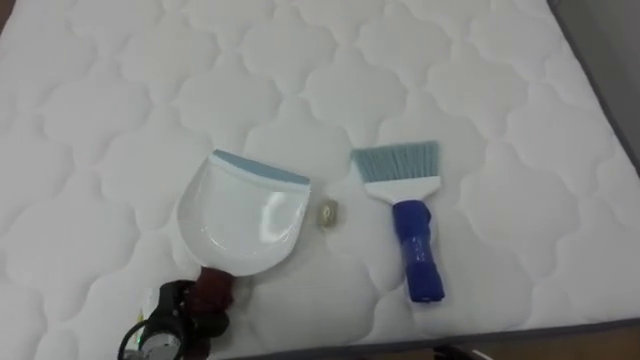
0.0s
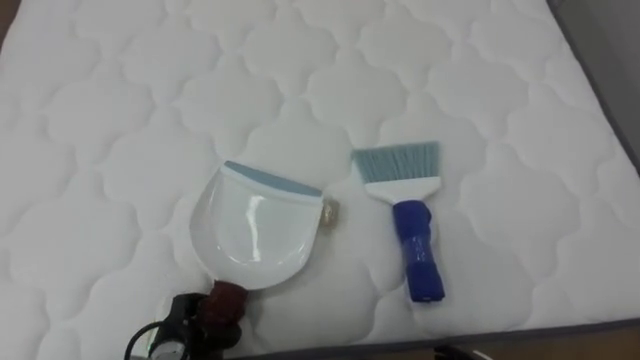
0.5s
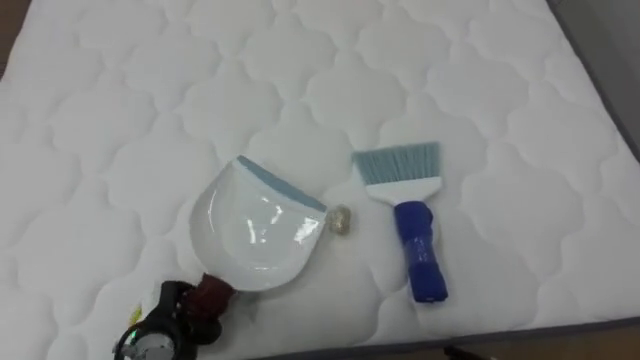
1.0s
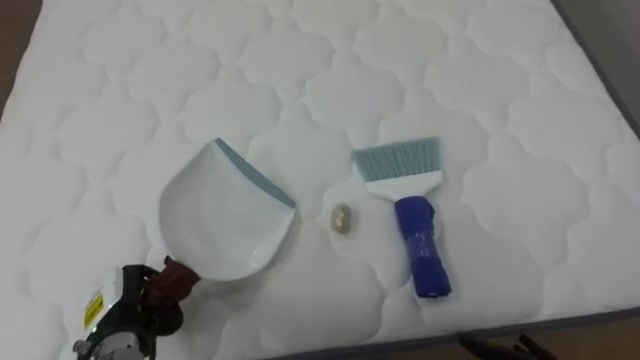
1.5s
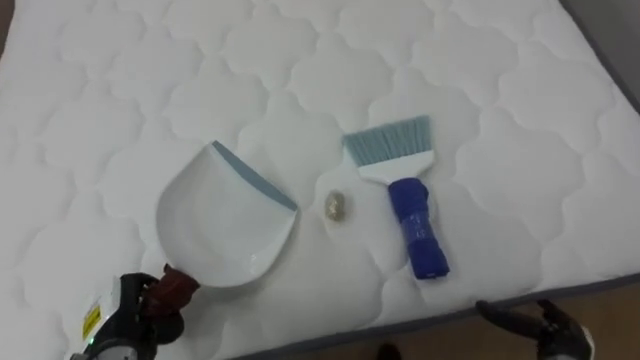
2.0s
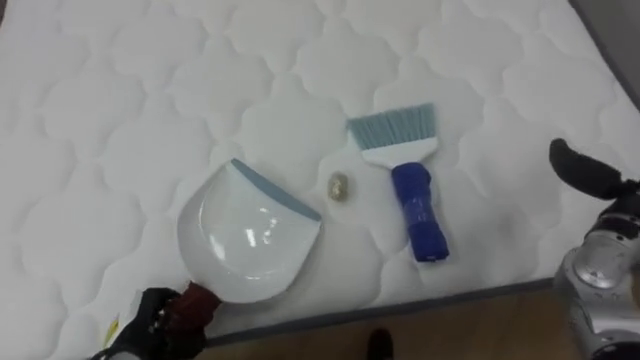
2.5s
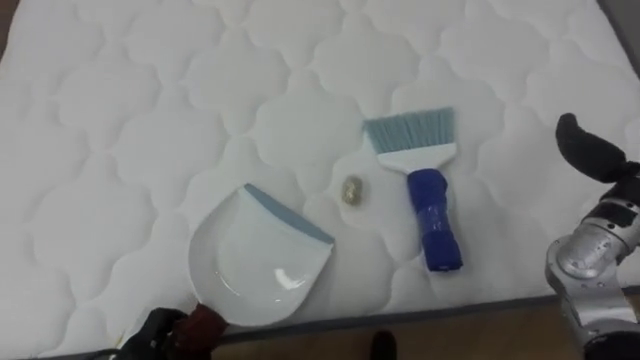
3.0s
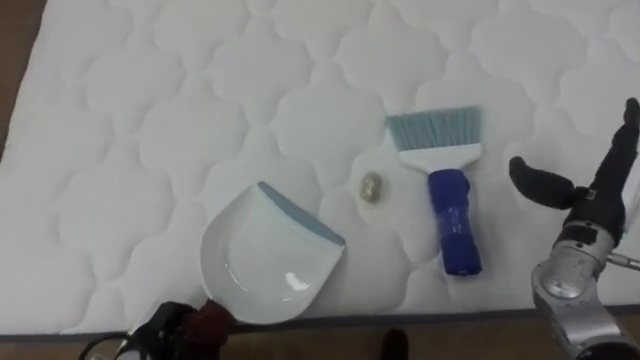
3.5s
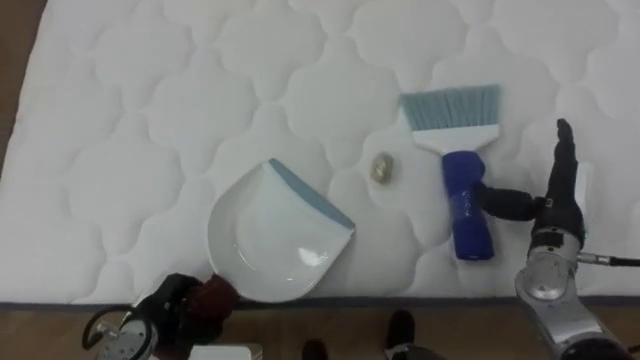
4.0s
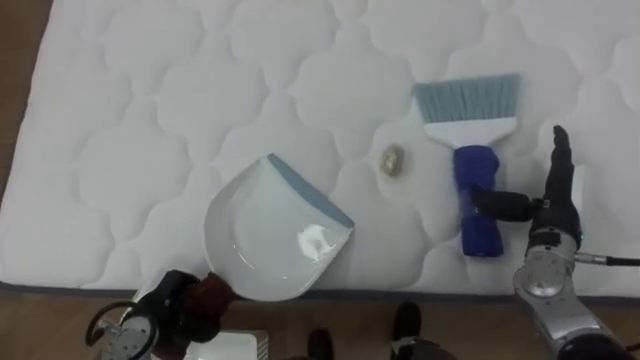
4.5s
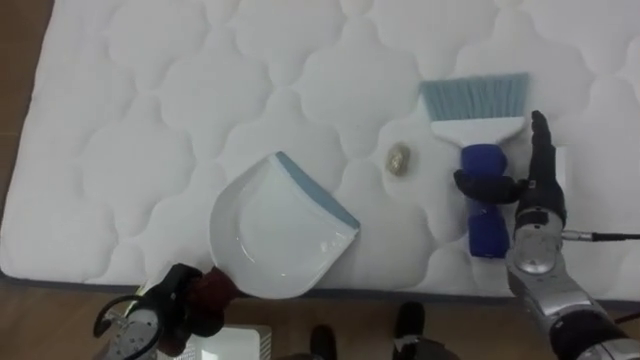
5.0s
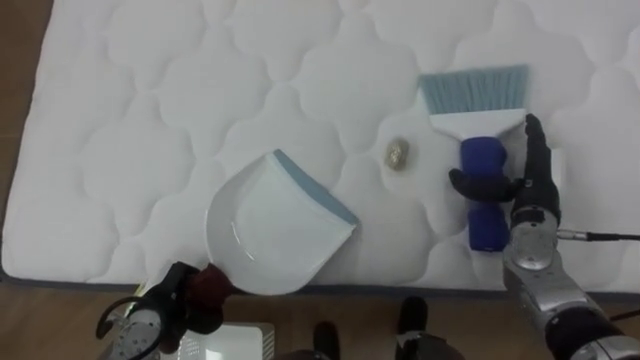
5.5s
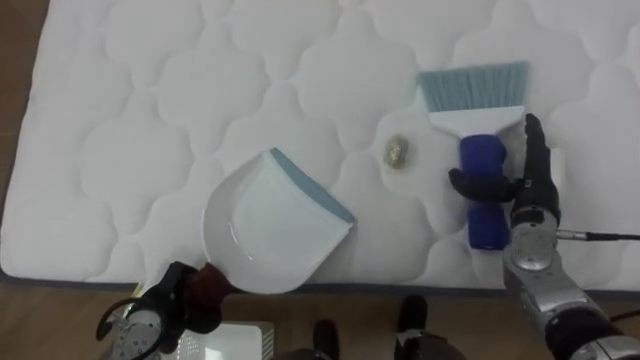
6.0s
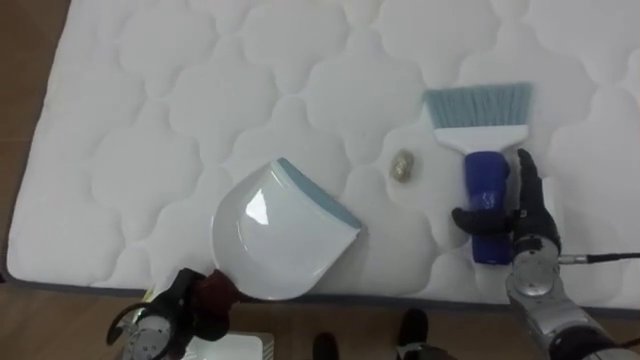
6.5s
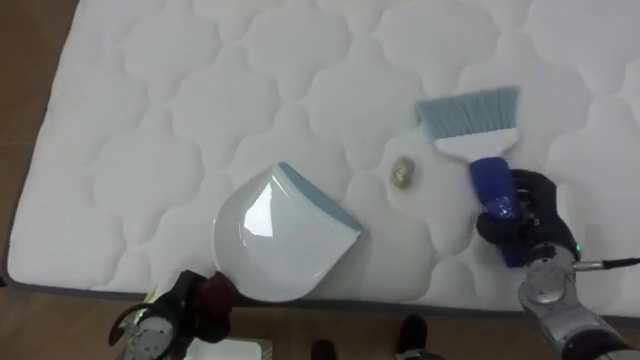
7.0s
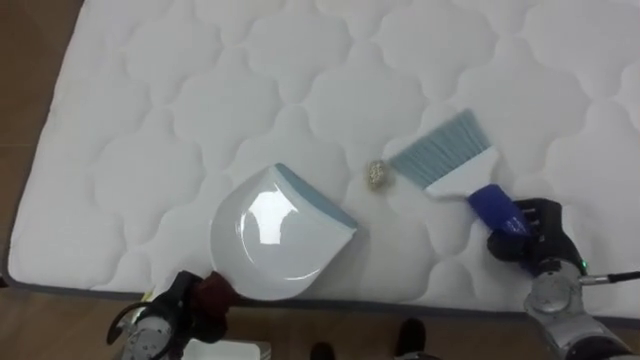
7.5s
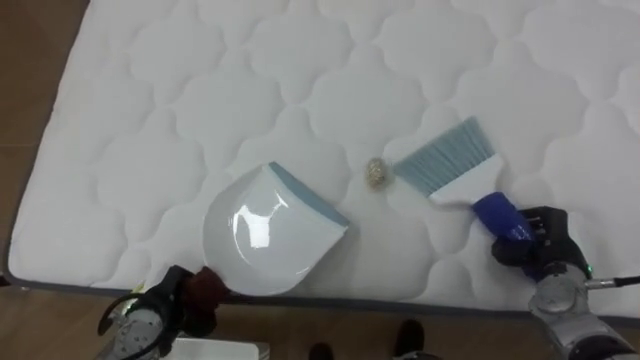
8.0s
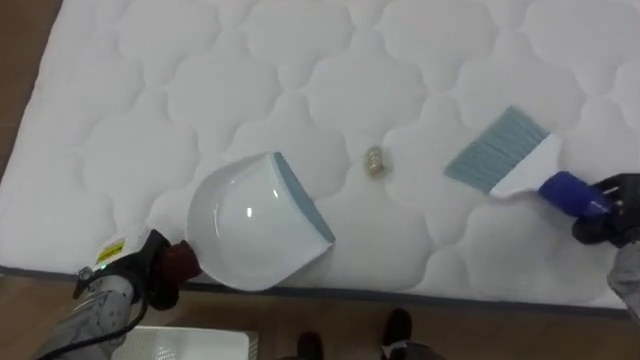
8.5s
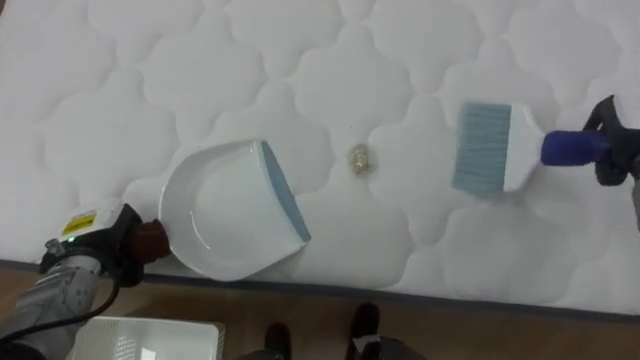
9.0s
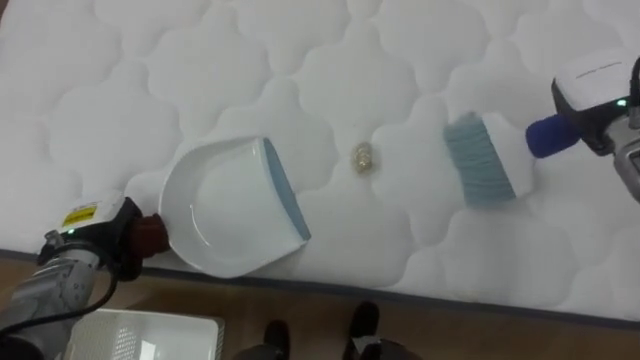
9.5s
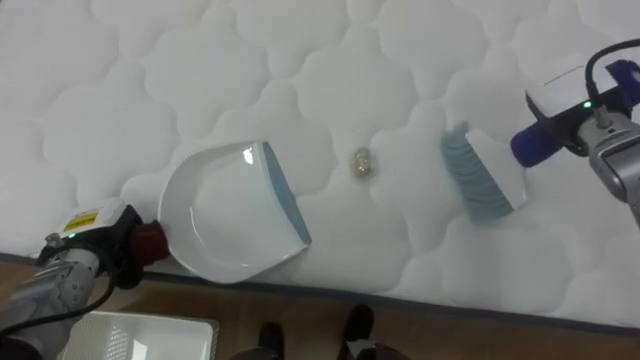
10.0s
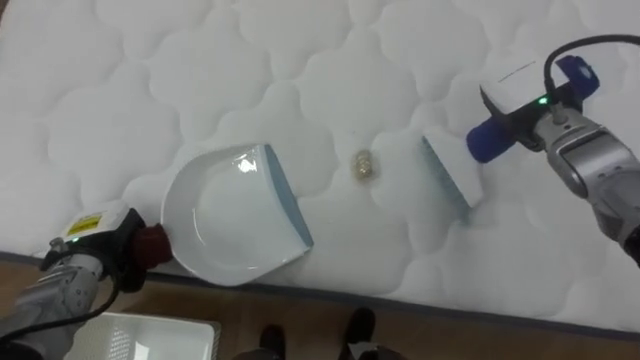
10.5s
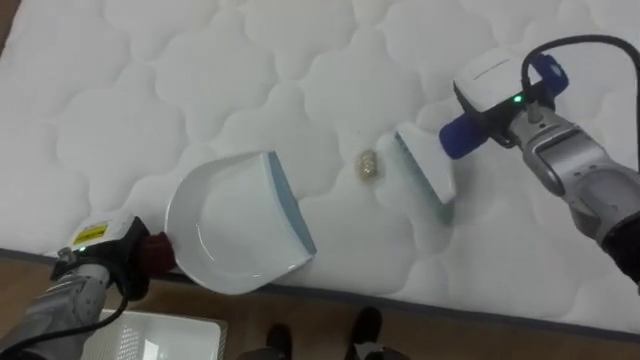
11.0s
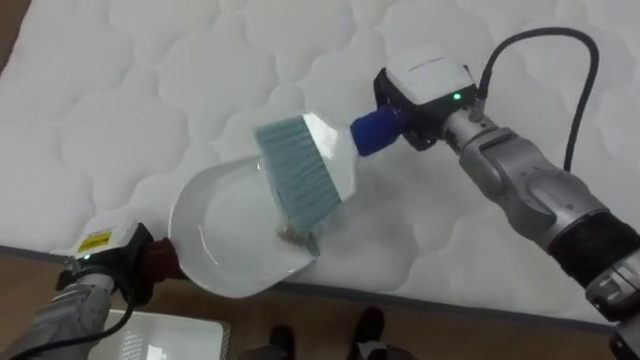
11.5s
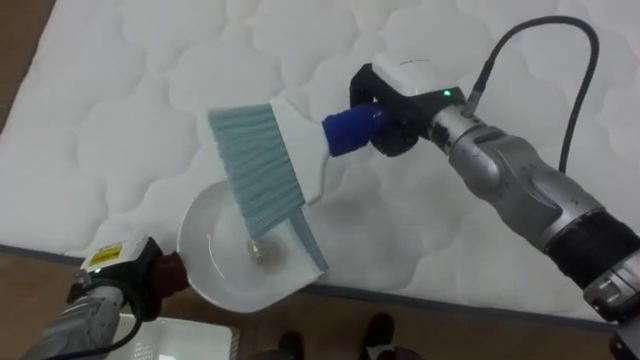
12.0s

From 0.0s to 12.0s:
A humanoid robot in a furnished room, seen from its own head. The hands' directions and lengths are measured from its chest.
Task of the whole recording: Pick up the brush on your right and the dustpan on your left. Use the brush to sweep the crumpled paper on the bed into the dustpan, then turn left and empty it into the basket.
From 0.0s to 2.0s: The left hand moves to the left, some 5 cm.
From 2.0s to 4.0s: The left hand shifts by some 5 cm.
From 6.0s to 8.0s: The right hand moves downward and backward, some 10 cm, and closes.
From 8.0s to 10.0s: The left hand is displaced upward, to the left and forward by about 15 cm.
From 10.0s to 12.0s: The left hand ends up roughly 5 cm from where it was. The right hand goes about 20 cm to the left.

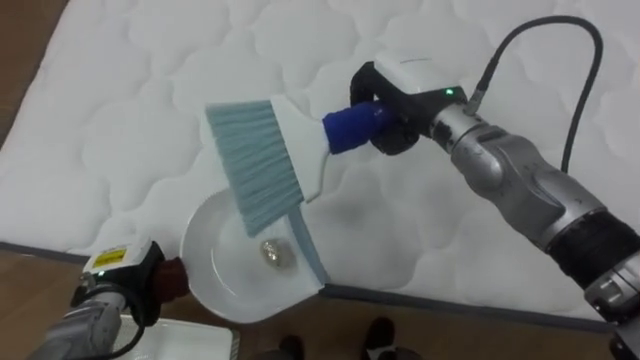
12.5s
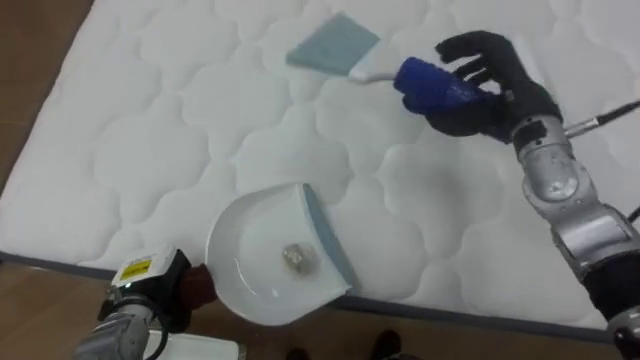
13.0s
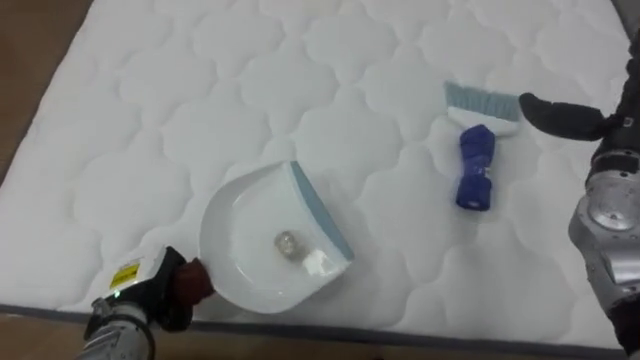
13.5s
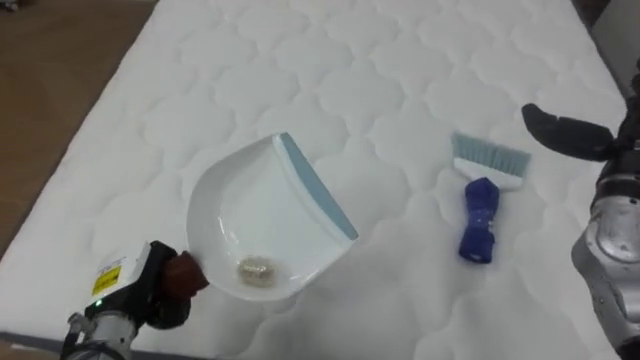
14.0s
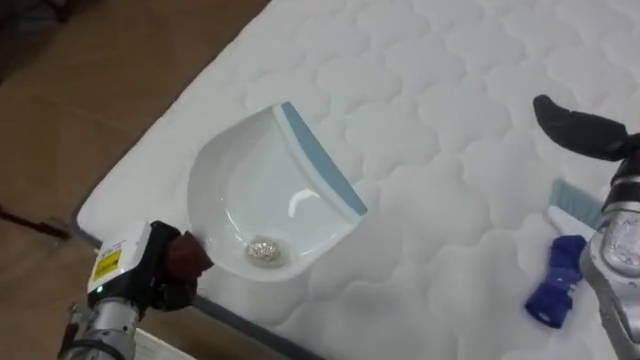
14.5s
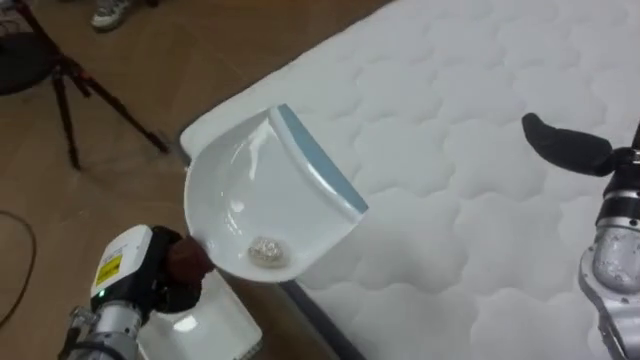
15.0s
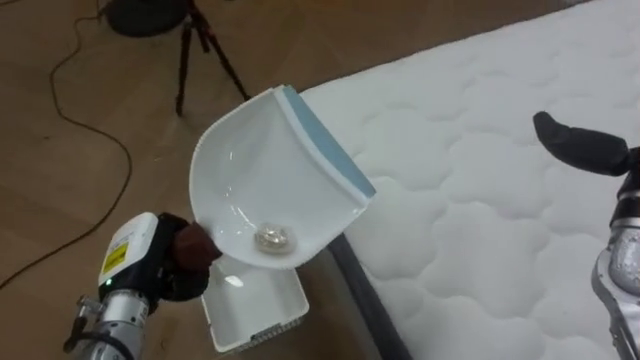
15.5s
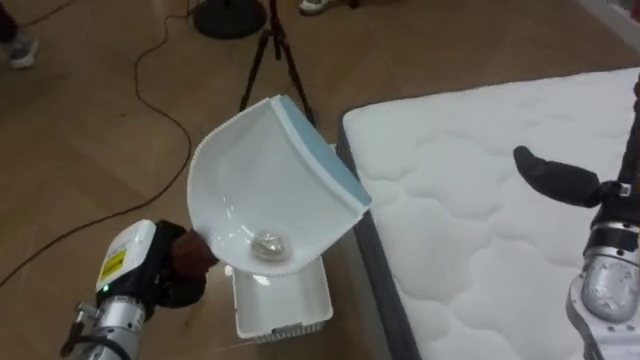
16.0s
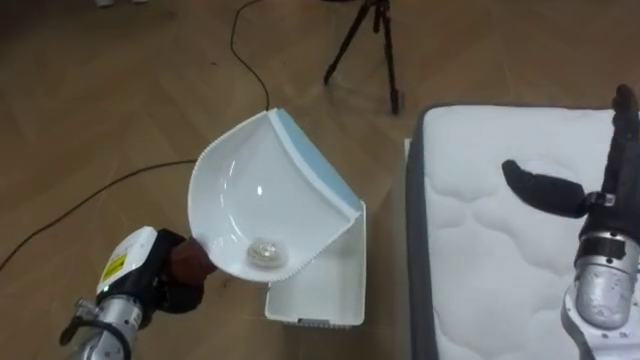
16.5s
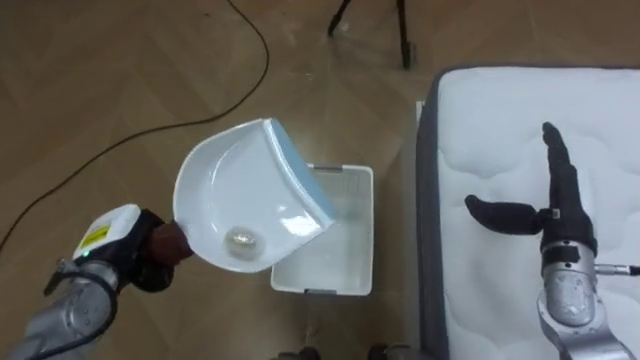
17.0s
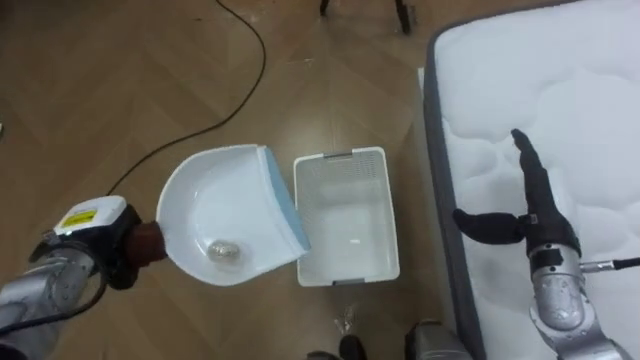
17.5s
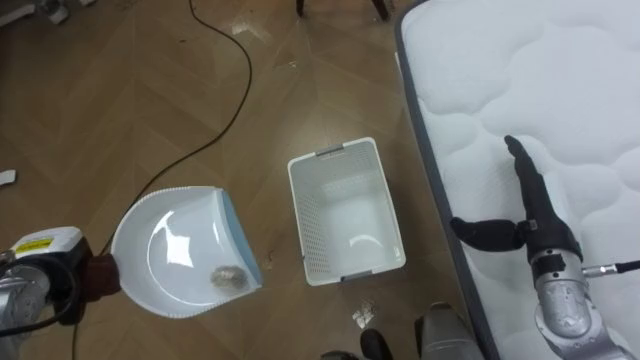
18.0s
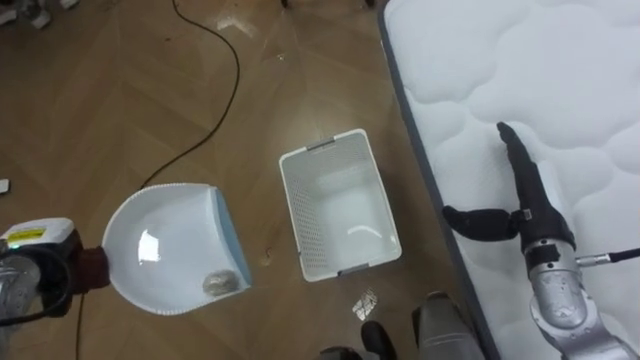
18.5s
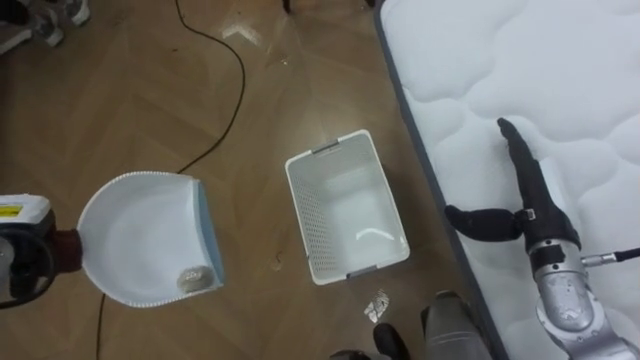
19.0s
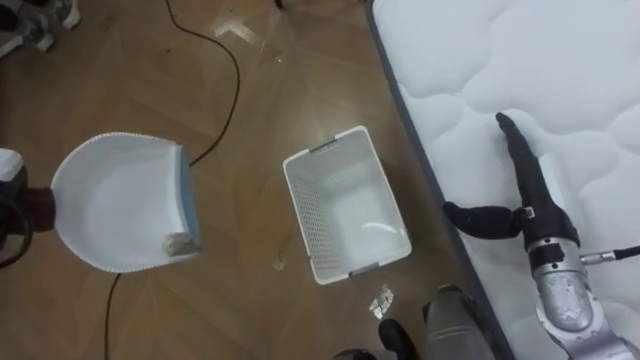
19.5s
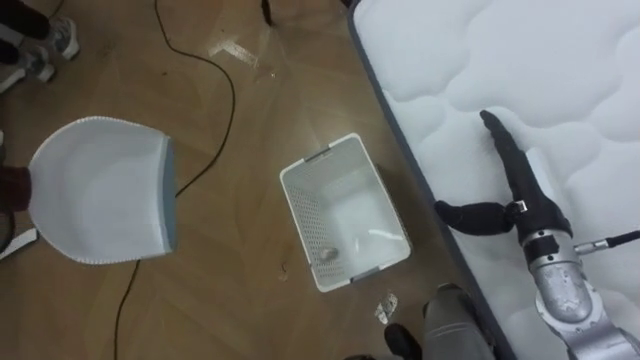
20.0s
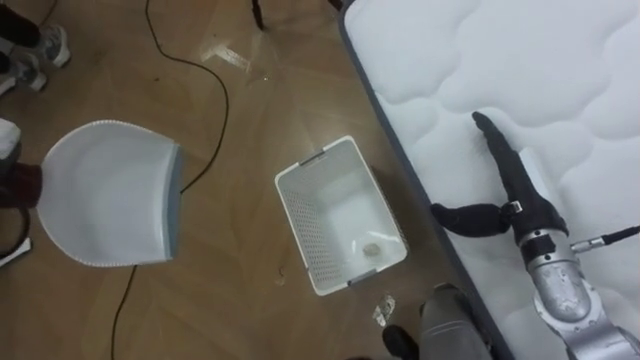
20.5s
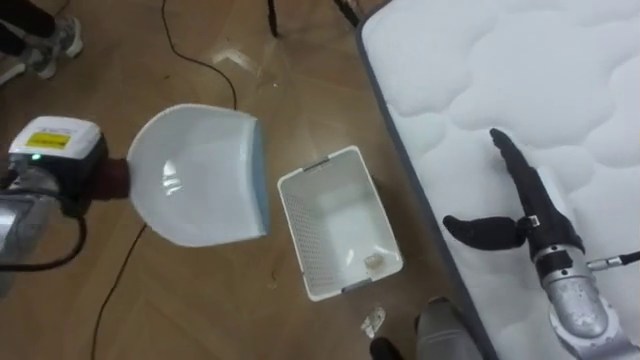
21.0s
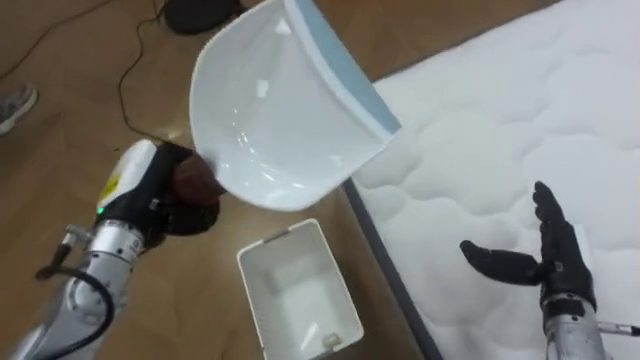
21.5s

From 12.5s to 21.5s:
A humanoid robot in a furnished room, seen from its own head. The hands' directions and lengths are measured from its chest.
Task of the whole recording: Pick up the brush on your right and the dustpan on your left. Use the brush to sweep the crumpled paper on the bed into the dustpan, then turn left and empty it into the basket.
From 12.5s to 14.5s: The robot turns to its left by some 25 degrees. The left hand moves upward, roughly 5 cm.
From 14.5s to 17.0s: The robot's body swings about 75 degrees to its left. The left hand changes place by roughly 5 cm.
From 19.5s to 21.5s: The right hand travels backward and downward by roughly 5 cm.
